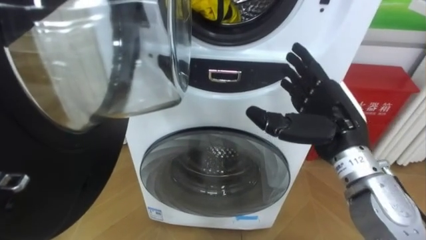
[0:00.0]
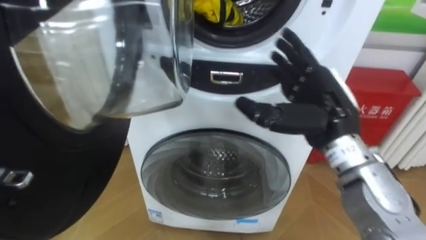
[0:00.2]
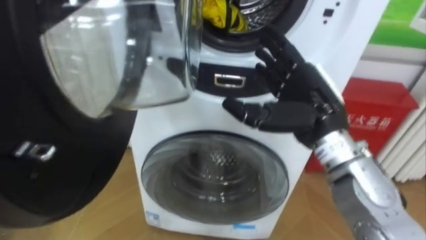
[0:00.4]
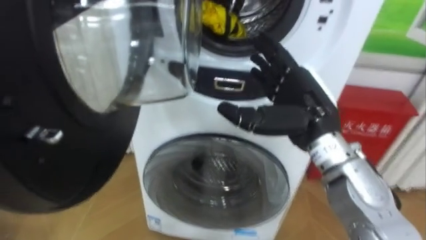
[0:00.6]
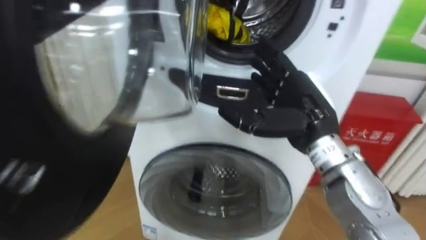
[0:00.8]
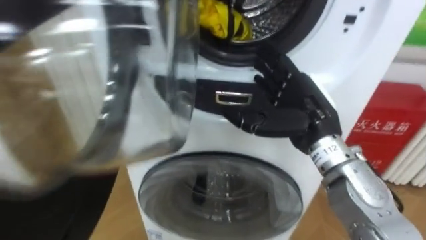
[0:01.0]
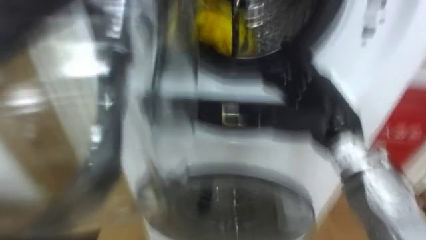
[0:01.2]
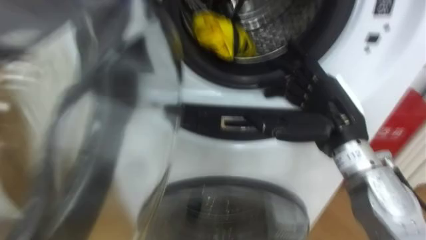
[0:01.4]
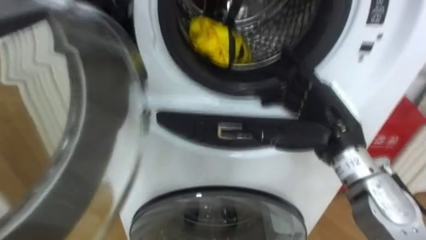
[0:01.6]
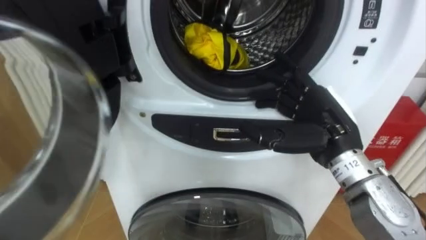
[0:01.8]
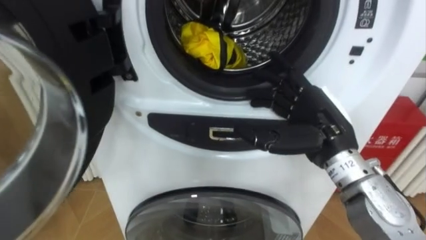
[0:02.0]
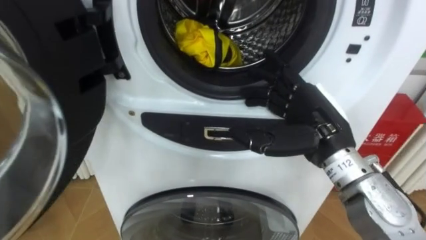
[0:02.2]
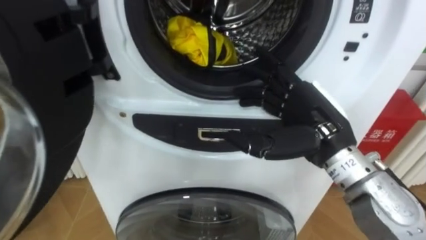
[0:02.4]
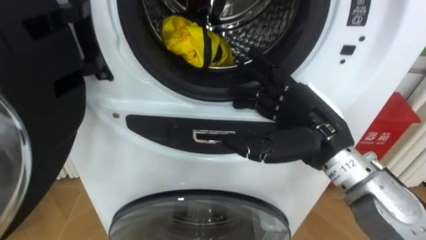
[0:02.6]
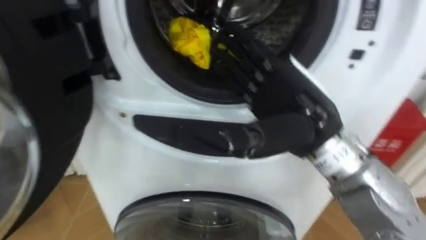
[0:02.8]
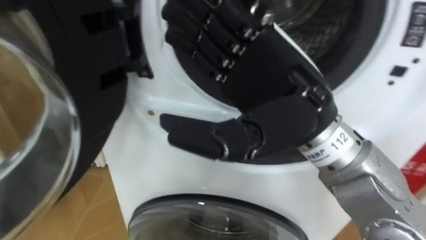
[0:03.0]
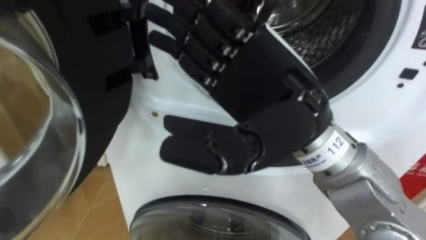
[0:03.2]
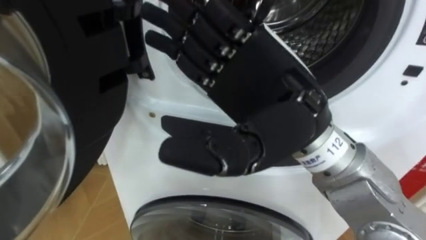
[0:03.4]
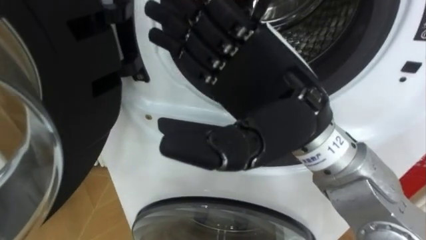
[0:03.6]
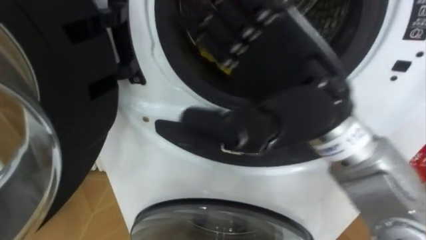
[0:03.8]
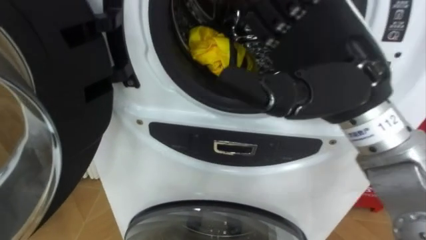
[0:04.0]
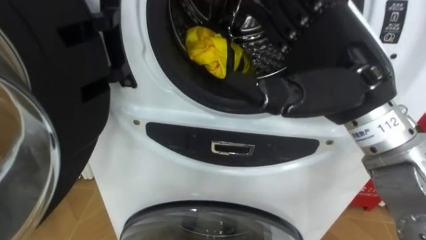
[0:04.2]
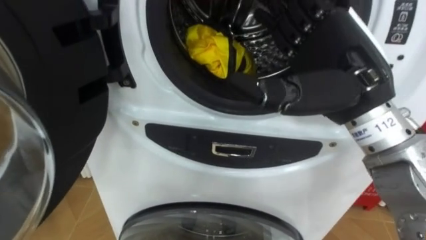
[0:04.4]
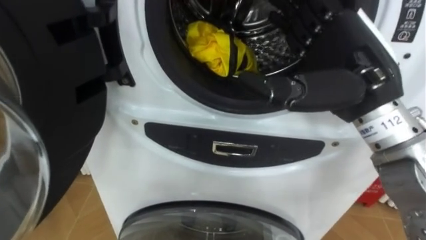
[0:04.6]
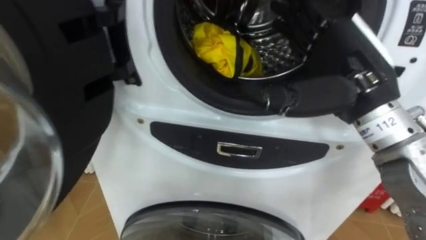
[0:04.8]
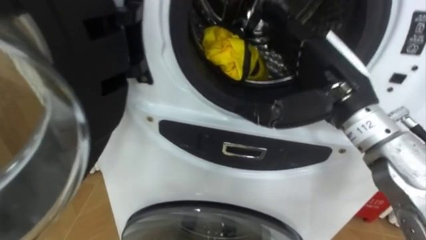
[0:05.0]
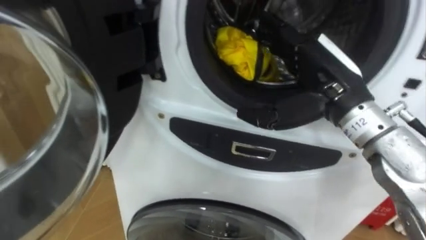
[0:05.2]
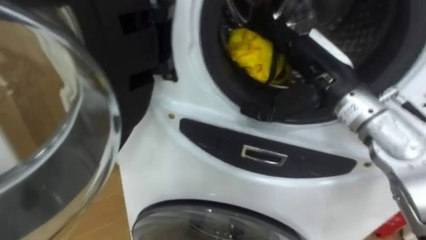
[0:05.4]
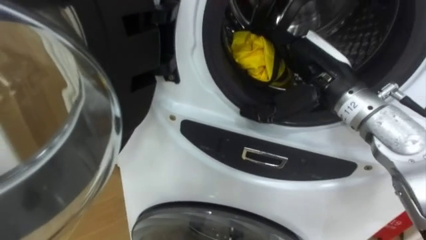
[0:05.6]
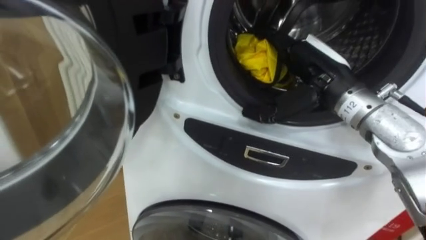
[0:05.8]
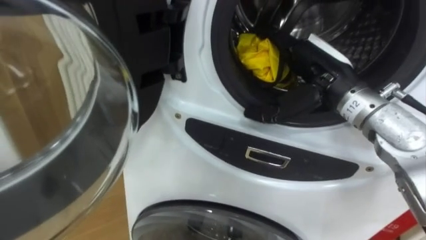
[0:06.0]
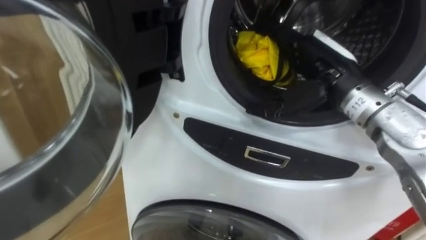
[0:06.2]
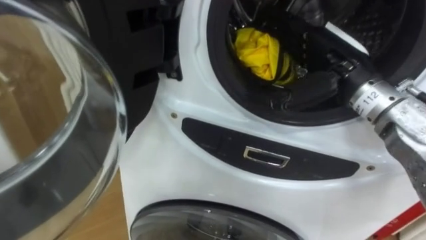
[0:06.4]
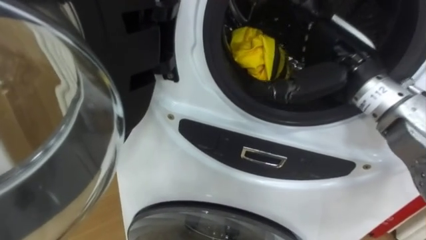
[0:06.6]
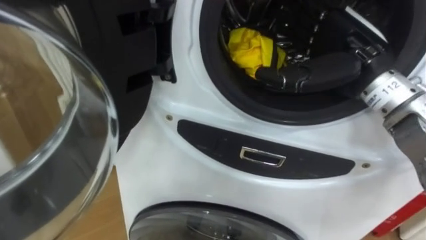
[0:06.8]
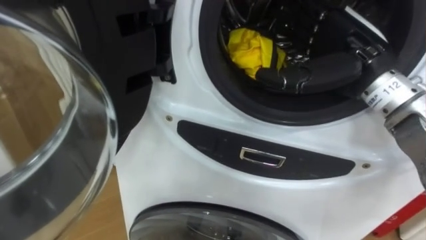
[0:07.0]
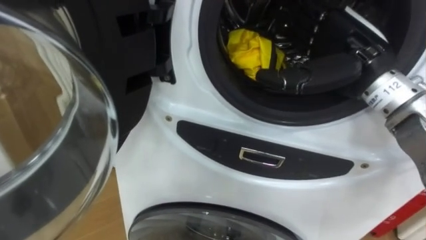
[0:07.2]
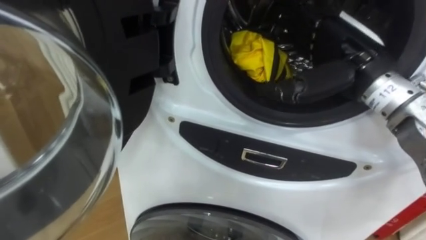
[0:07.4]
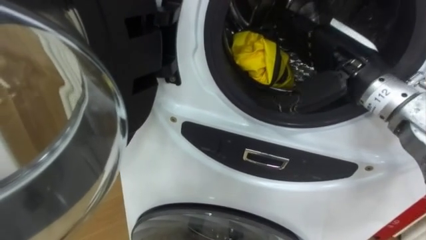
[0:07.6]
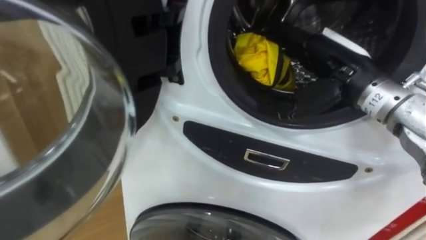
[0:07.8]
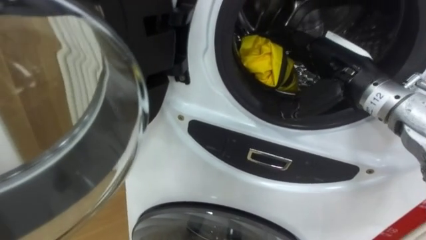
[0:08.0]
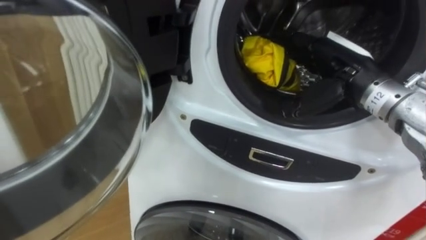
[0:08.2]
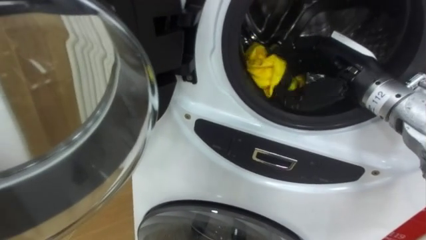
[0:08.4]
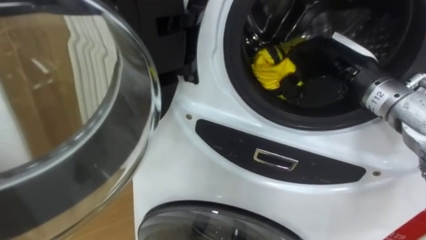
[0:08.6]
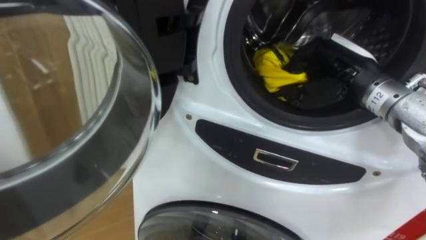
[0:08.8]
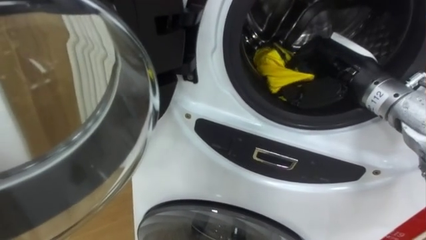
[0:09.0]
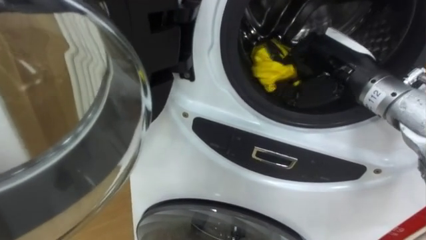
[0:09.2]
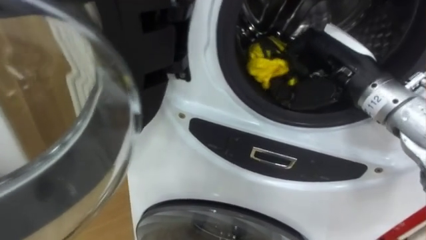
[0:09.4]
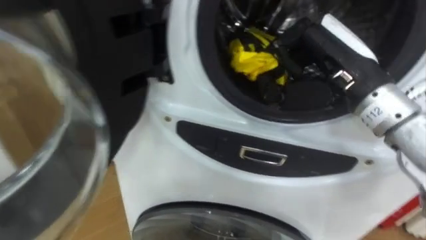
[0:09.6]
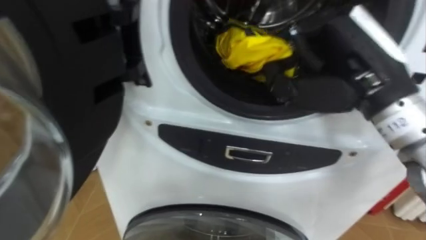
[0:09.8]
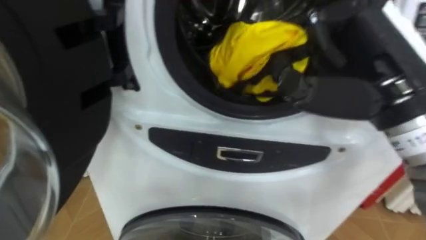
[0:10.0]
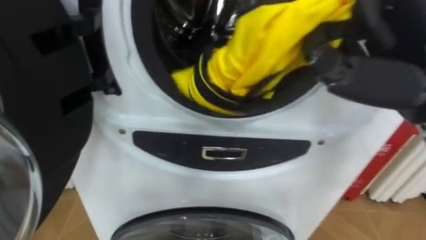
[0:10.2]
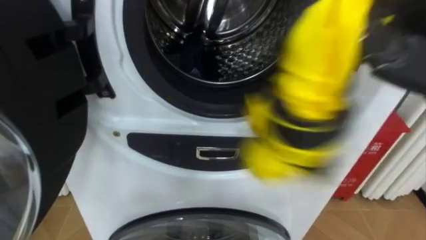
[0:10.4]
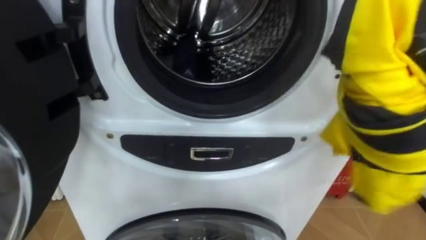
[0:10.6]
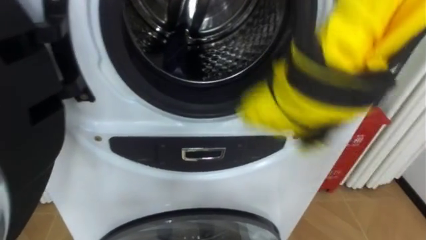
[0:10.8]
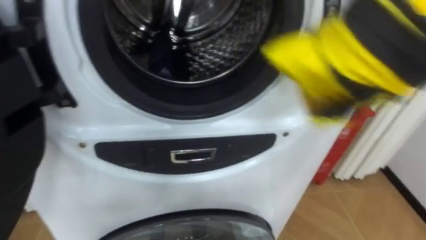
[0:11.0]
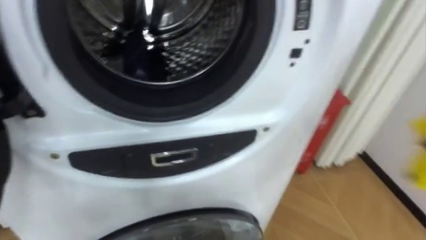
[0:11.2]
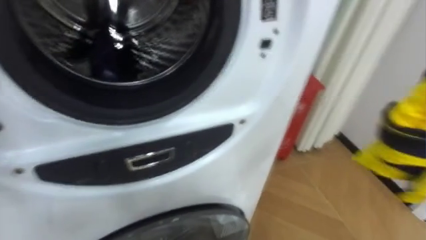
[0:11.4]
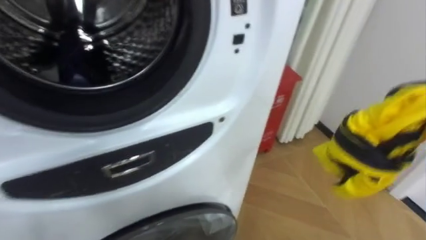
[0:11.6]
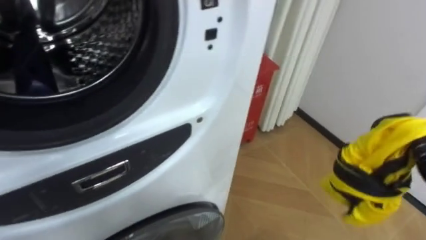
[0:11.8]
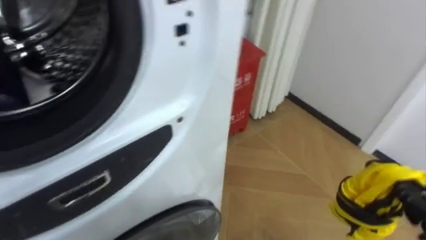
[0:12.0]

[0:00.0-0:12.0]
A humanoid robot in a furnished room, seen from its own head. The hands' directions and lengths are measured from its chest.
Task of the whole recording: Open the washing machine door, take out the yellow clothes, place them in the box on the right, and close the washing machine door.
0:01.6 to 0:03.0: The right hand travels upward, to the left and backward by about 15 cm.
0:03.0 to 0:04.4: The right hand goes about 5 cm to the right.
0:04.4 to 0:06.0: The right hand shifts some 10 cm forward and downward.
0:07.6 to 0:09.0: The right hand closes up.
0:10.4 to 0:12.0: The robot faces approximately 25 degrees further to its right.

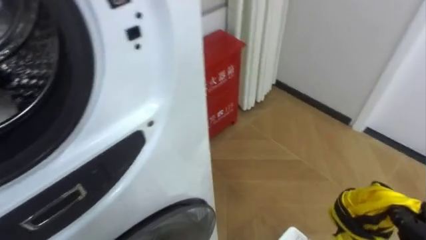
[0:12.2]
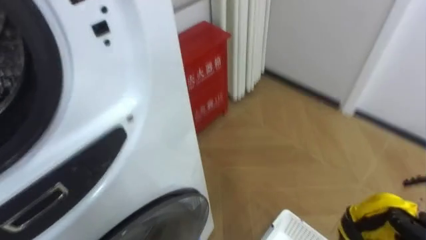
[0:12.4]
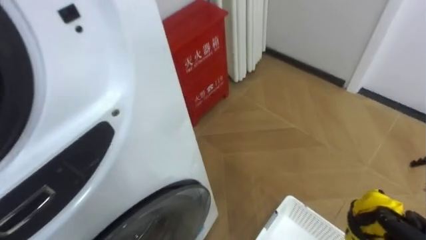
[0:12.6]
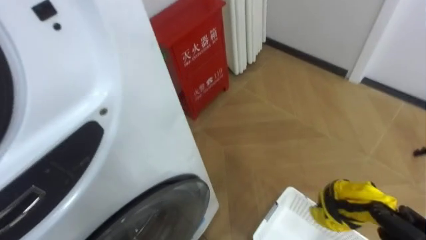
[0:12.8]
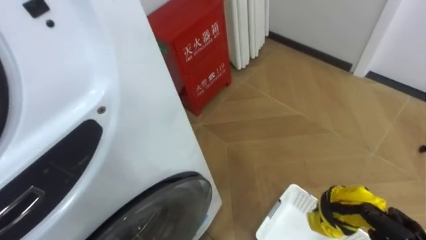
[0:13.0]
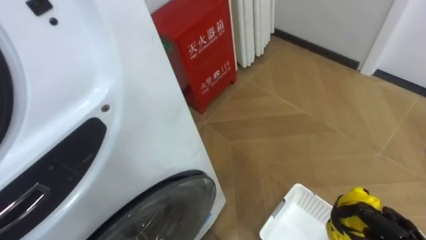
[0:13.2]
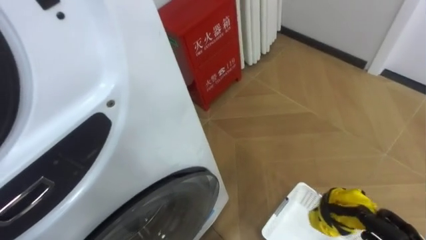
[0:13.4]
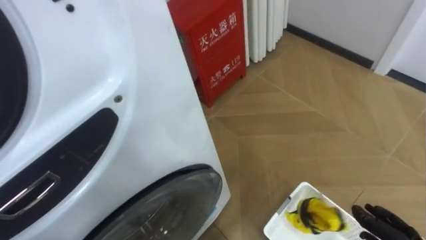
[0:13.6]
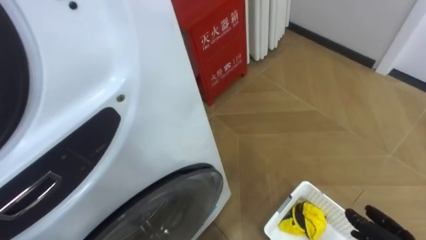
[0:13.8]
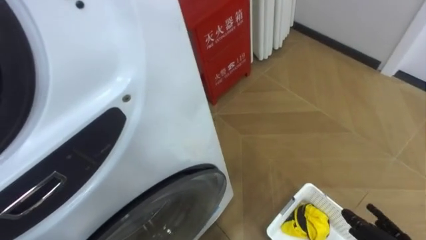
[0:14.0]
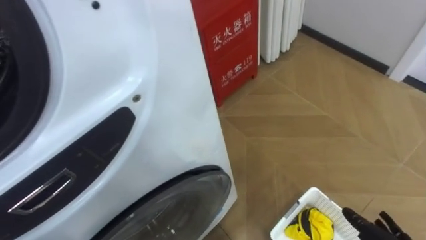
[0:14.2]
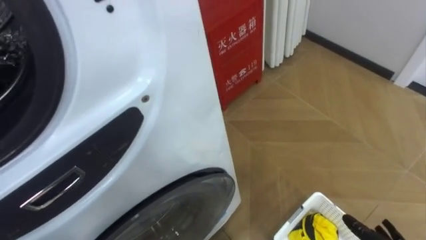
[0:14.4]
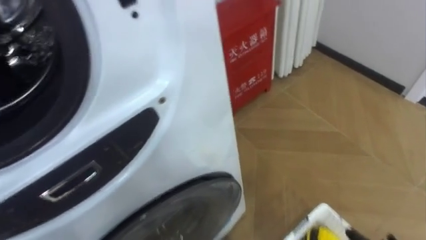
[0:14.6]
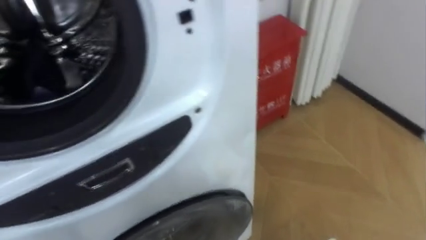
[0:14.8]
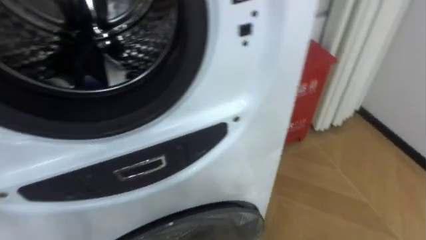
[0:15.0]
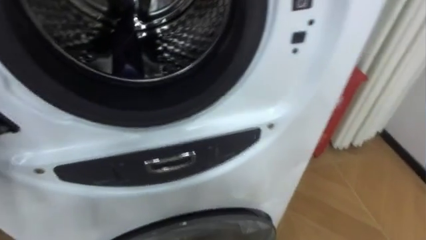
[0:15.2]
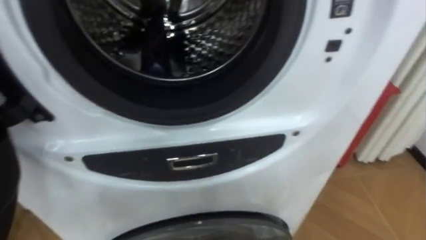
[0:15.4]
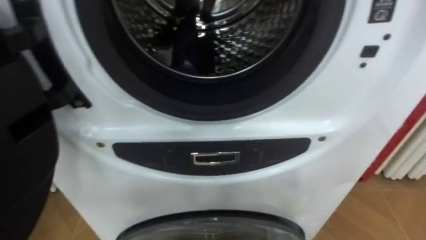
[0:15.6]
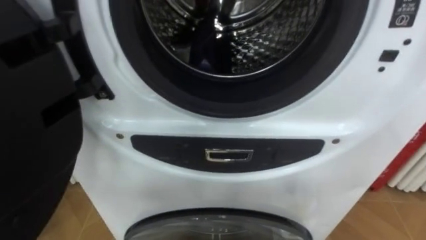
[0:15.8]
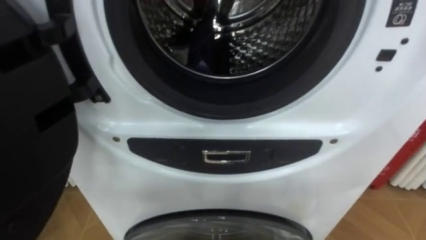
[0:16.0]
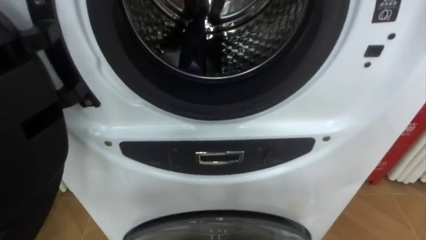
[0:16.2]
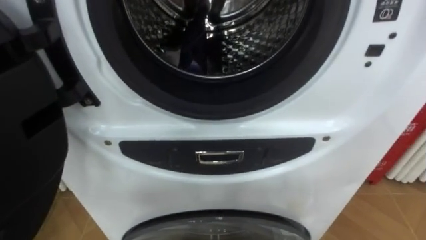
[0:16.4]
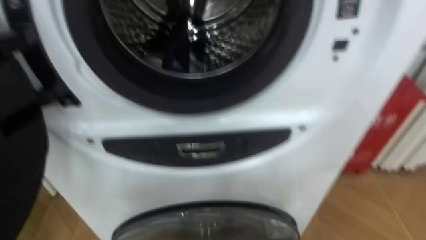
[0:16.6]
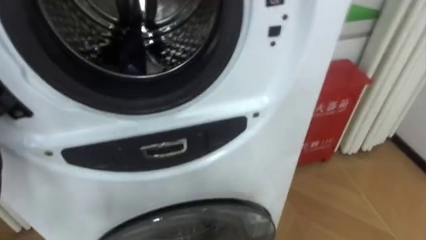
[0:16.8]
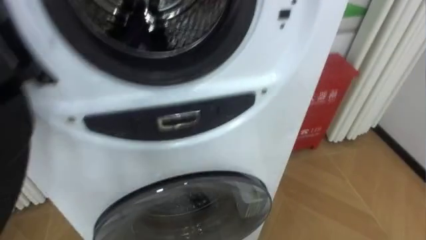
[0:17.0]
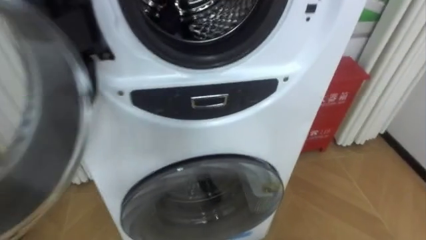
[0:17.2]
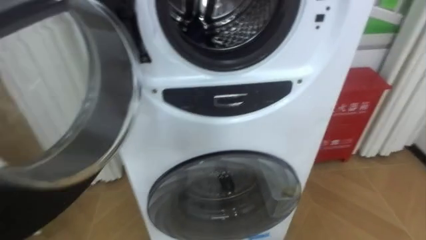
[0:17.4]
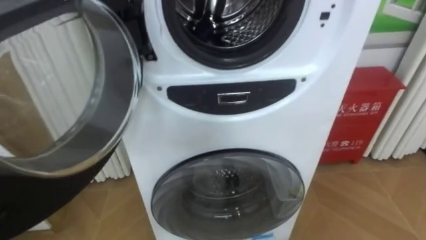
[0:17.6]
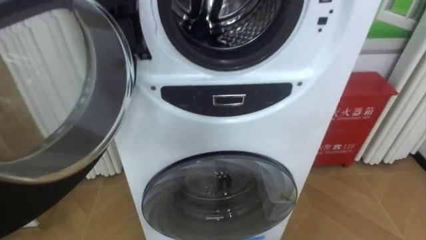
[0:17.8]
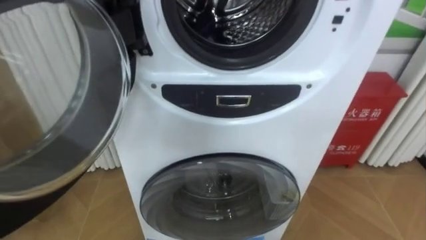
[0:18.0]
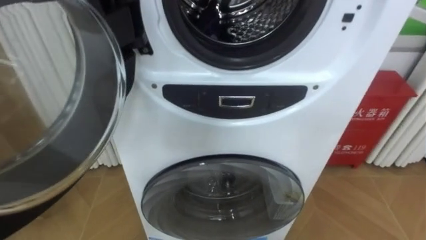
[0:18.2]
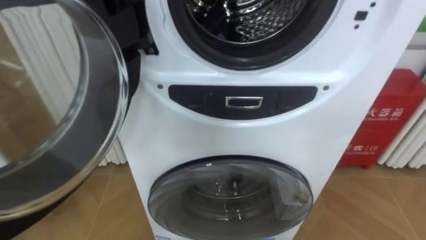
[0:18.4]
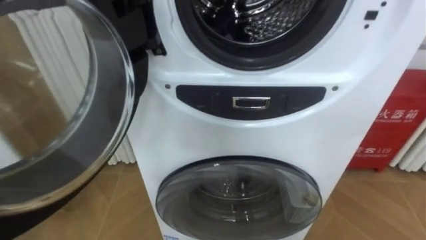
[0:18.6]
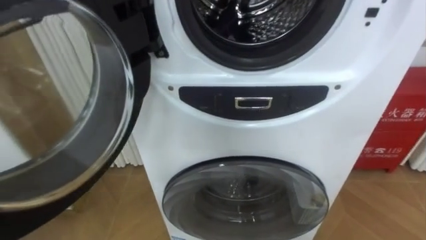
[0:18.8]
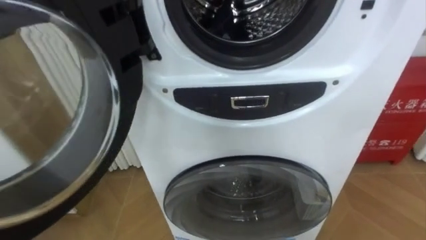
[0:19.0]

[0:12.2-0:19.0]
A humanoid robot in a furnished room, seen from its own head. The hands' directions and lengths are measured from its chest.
Task of the whole recording: Open the washing machine door, take out the yellow clothes, place them in the box on the right, and close the washing machine door.
0:13.6 to 0:15.0: The robot rotates about 15 degrees to its left.
